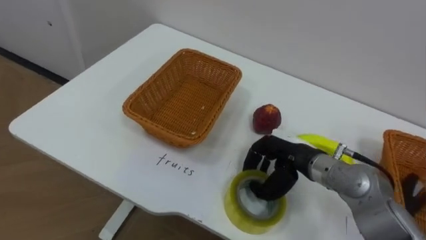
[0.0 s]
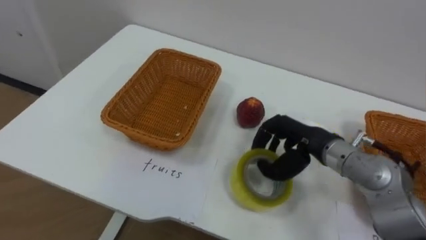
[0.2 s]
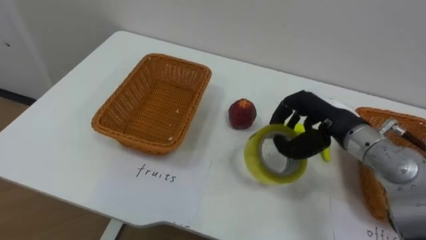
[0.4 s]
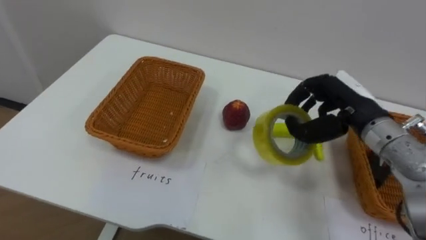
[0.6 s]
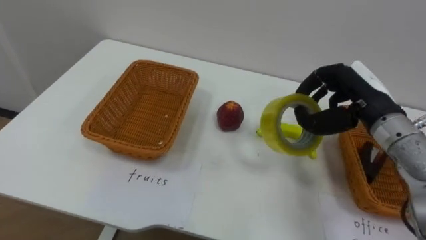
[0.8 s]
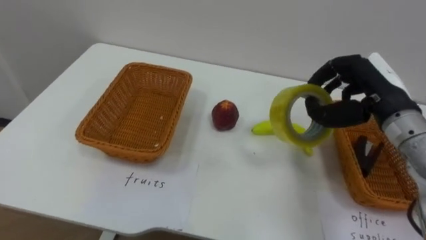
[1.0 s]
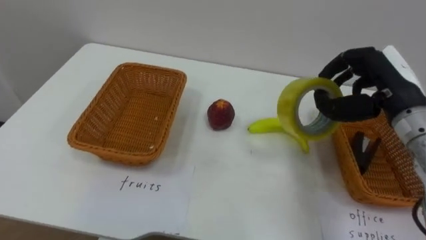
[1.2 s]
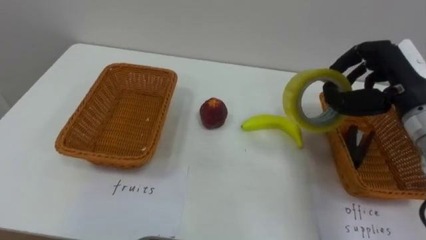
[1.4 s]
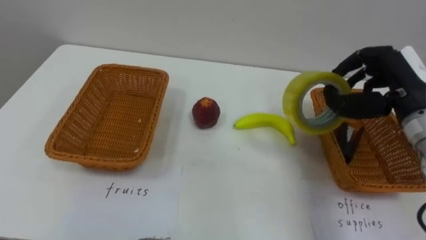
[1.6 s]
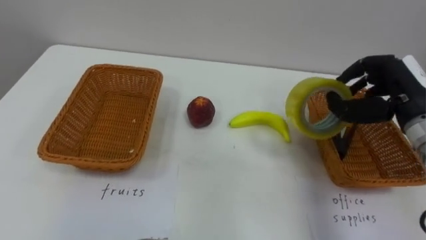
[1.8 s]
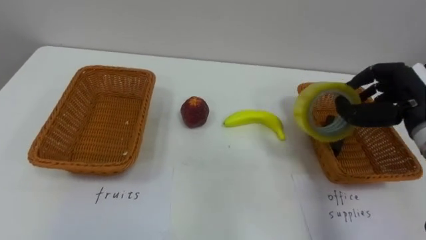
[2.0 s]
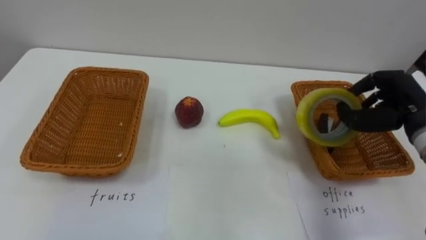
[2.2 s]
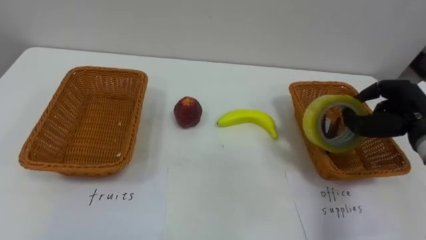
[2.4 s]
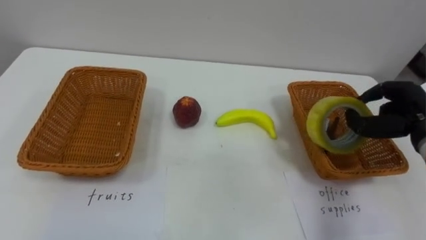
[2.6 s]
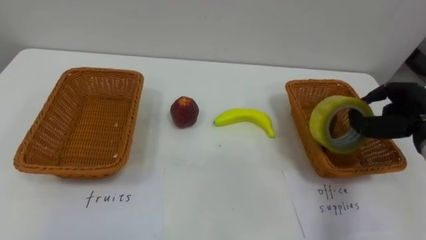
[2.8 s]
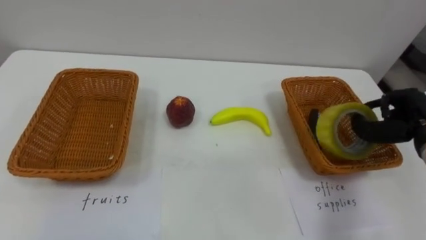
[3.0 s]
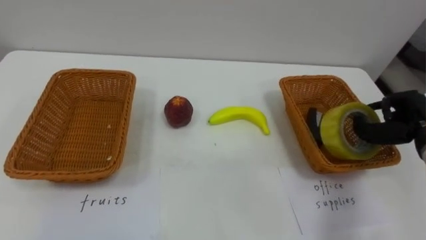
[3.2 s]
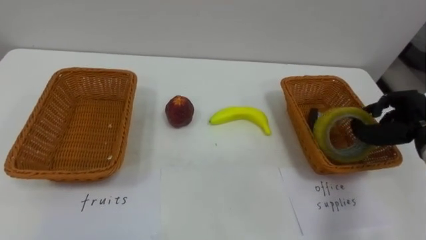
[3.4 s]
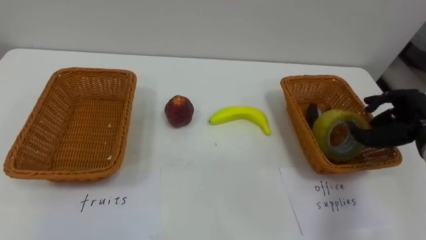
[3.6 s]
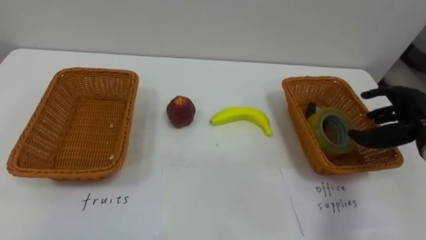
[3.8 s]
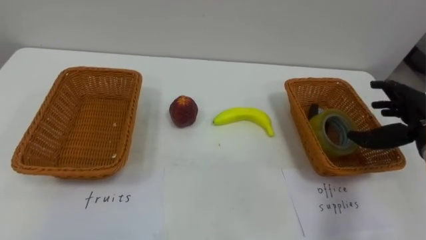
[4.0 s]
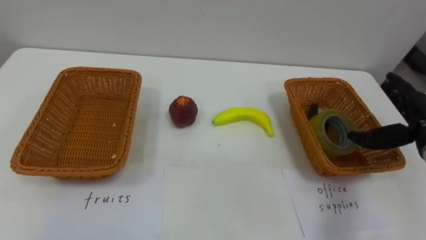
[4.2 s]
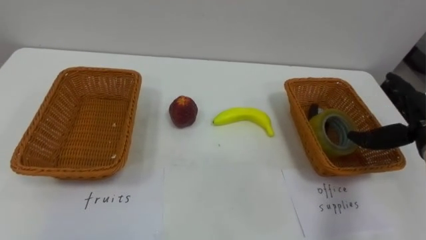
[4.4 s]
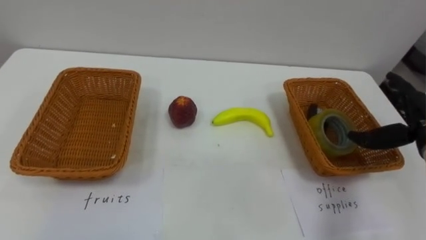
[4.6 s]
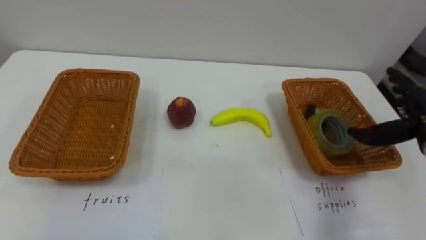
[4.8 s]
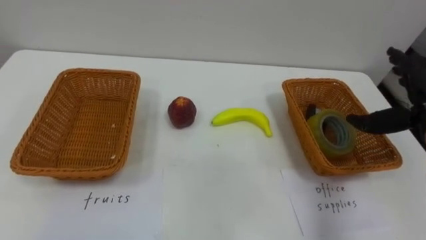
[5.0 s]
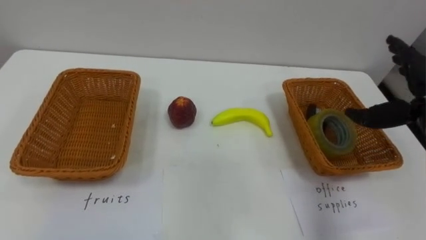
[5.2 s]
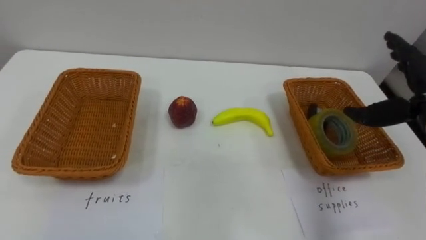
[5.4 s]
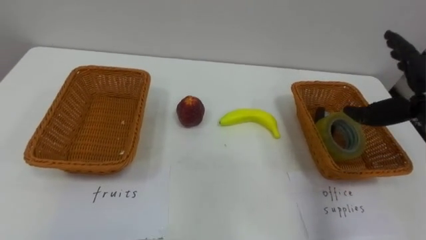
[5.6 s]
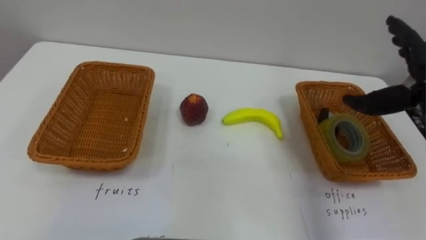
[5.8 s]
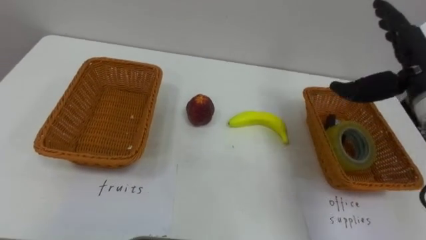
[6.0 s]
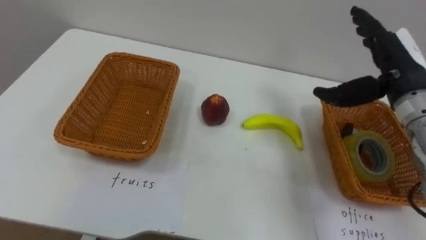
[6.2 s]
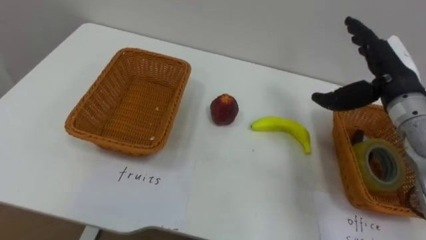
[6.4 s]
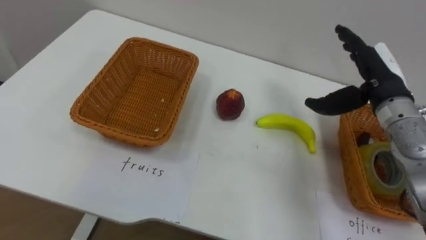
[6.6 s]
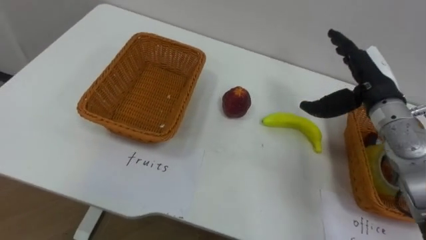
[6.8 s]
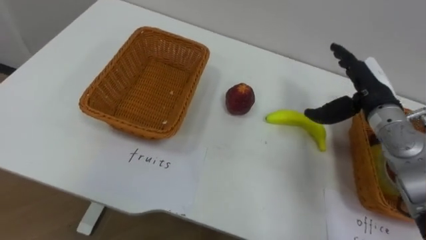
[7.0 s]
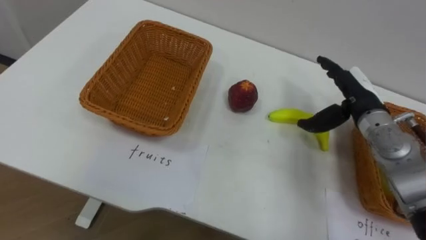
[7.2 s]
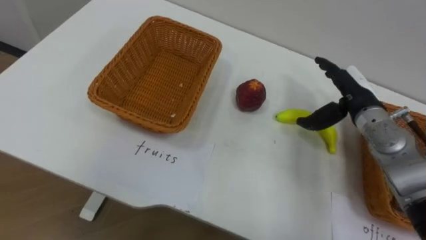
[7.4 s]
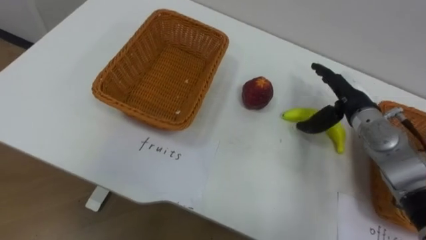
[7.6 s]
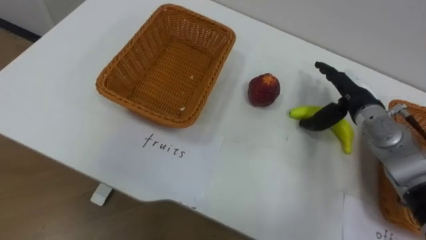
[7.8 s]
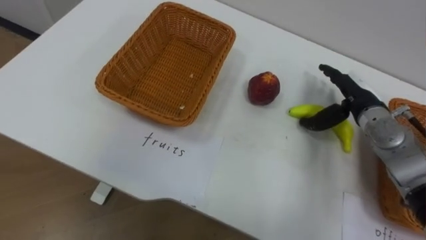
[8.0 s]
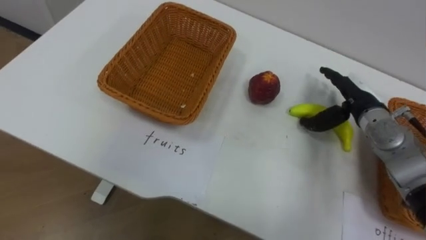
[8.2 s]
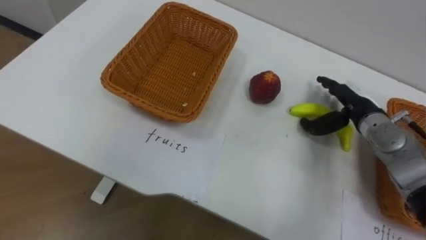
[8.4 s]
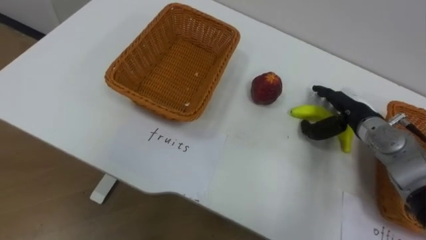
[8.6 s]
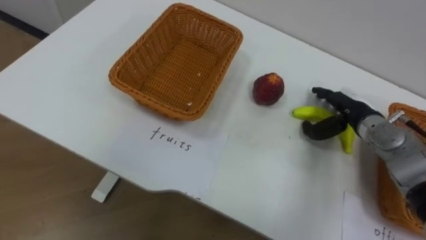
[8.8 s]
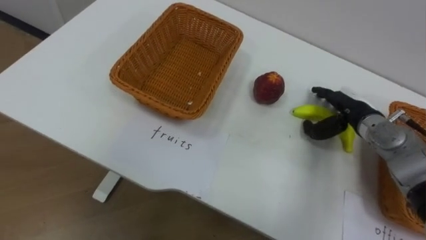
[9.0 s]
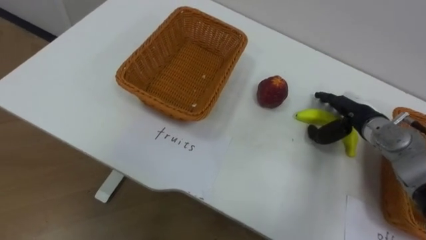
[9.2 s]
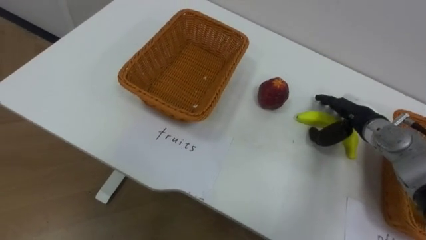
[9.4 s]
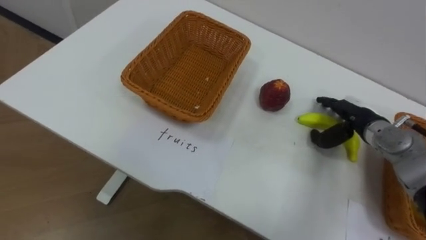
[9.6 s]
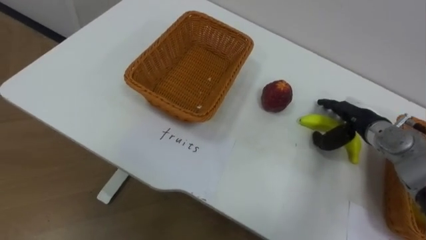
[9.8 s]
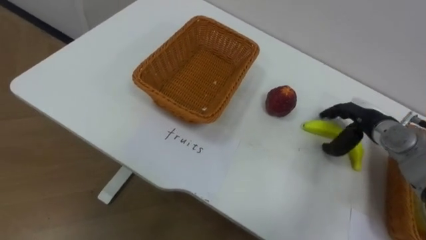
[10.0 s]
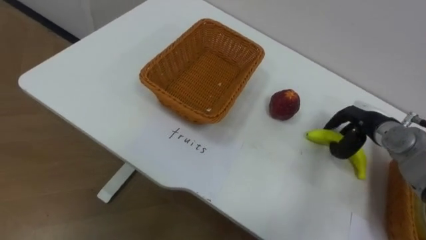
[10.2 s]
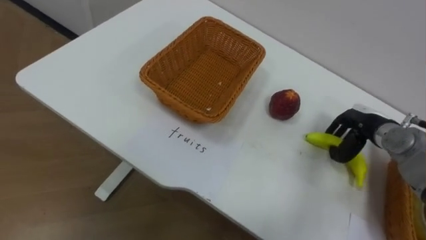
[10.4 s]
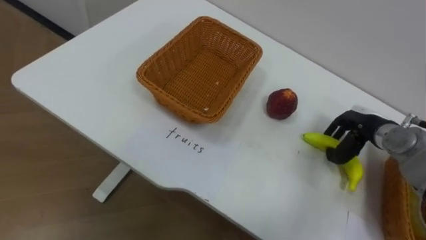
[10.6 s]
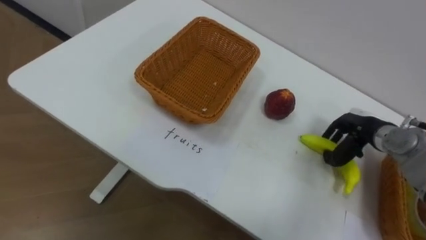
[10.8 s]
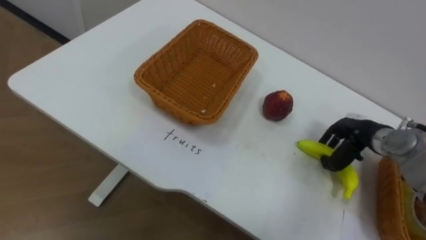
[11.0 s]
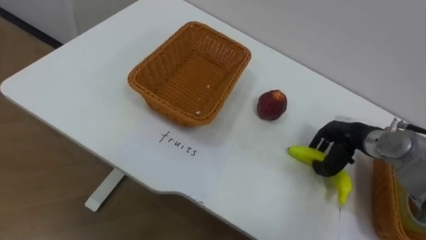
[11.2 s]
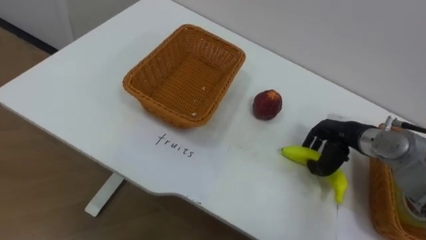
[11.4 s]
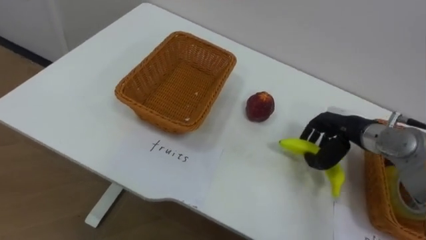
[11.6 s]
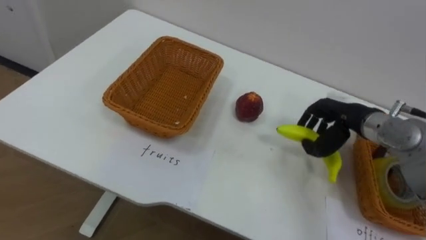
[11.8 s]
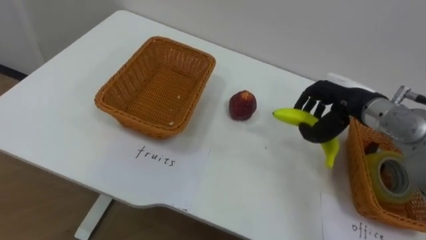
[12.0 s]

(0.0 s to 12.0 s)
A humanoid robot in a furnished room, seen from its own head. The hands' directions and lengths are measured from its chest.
Task of the whole recording: Separate the items on the table and place them into the two baskets.
0.0 s - 1.6 s: The right hand shifts approximately 20 cm to the right and upward.
1.6 s - 3.0 s: The right hand is displaced downward and to the right by roughly 10 cm.
3.0 s - 4.4 s: The right hand opens its fingers.
4.4 s - 6.0 s: The right hand is displaced upward and to the left by approximately 10 cm.
6.0 s - 7.6 s: The right hand goes approximately 10 cm downward and to the left.
9.0 s - 10.4 s: The right hand closes.
10.4 s - 12.0 s: The right hand moves upward and to the left, roughly 10 cm.

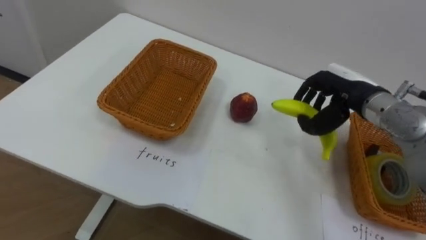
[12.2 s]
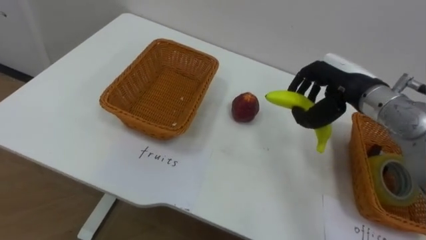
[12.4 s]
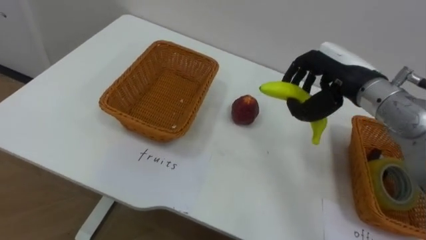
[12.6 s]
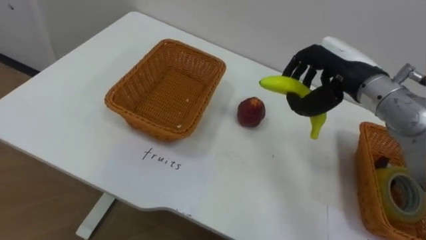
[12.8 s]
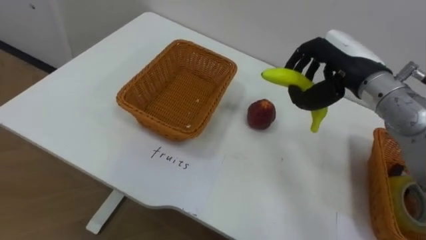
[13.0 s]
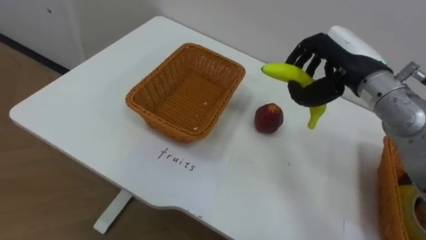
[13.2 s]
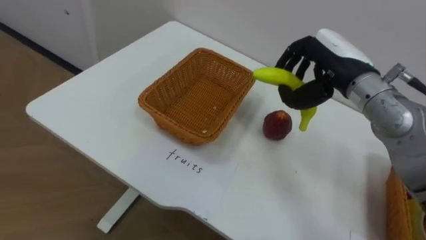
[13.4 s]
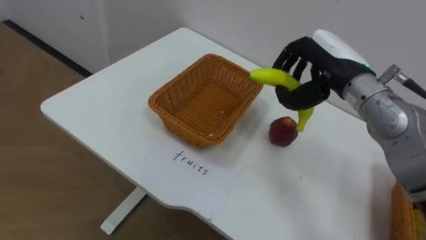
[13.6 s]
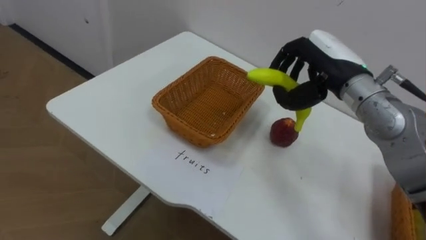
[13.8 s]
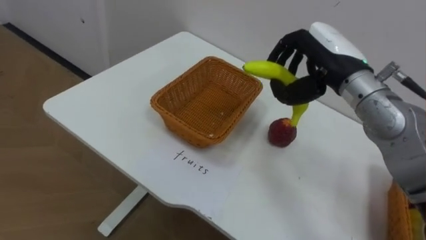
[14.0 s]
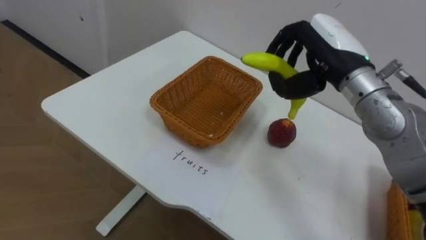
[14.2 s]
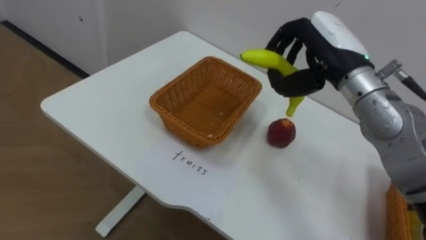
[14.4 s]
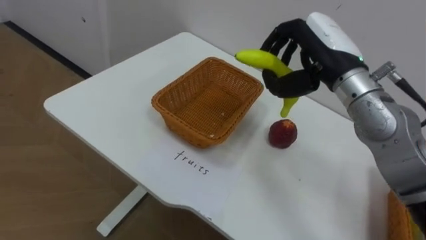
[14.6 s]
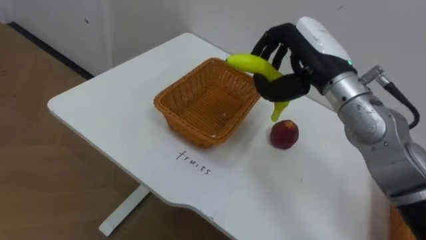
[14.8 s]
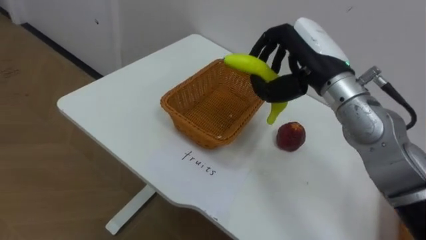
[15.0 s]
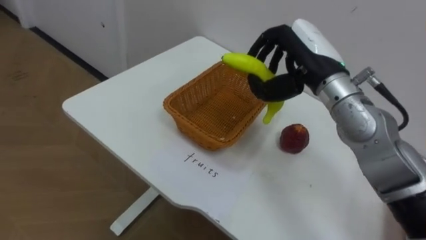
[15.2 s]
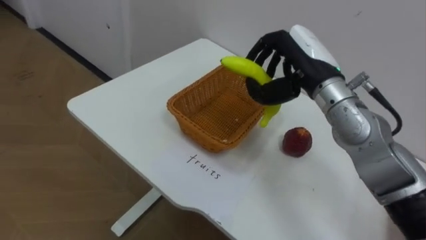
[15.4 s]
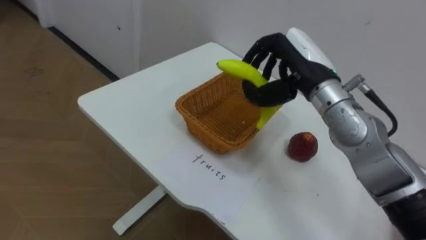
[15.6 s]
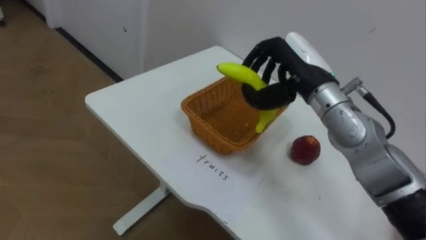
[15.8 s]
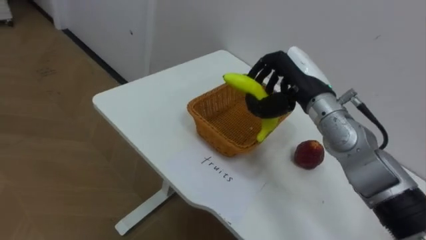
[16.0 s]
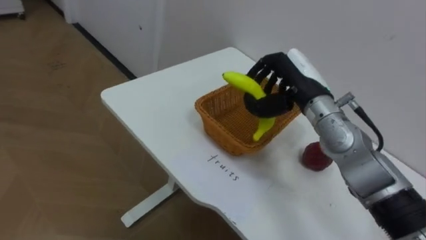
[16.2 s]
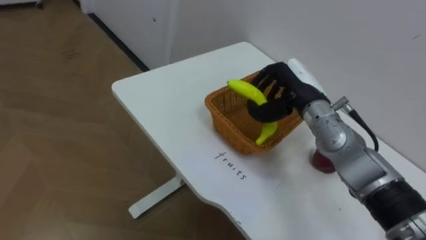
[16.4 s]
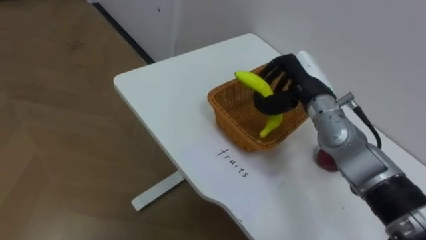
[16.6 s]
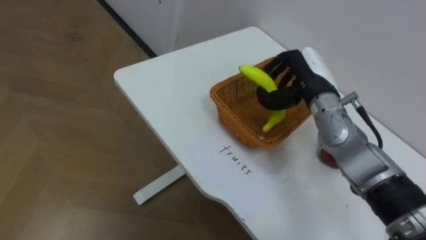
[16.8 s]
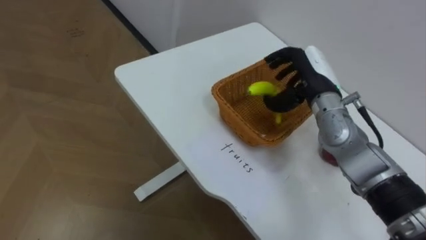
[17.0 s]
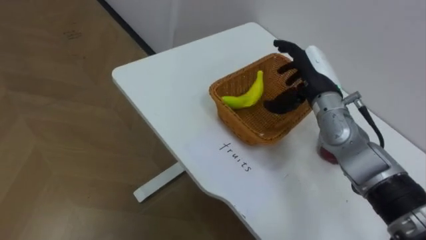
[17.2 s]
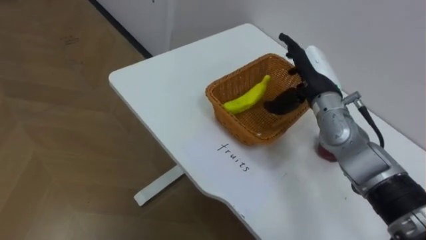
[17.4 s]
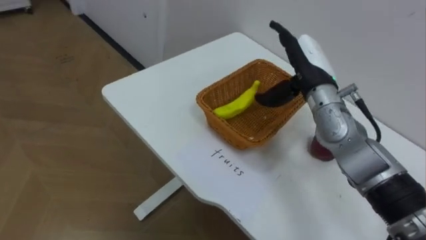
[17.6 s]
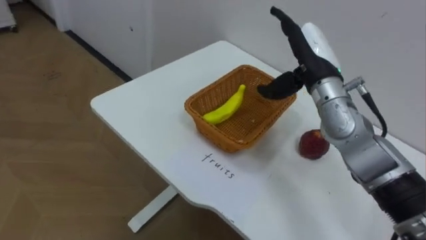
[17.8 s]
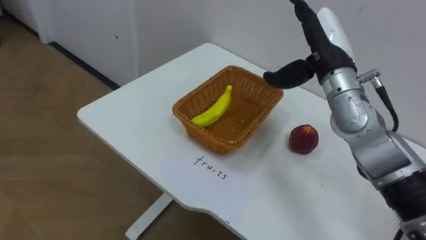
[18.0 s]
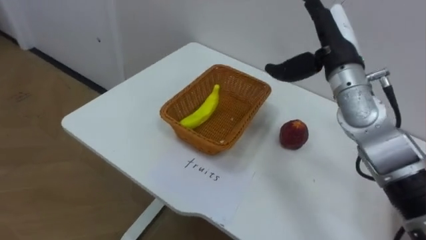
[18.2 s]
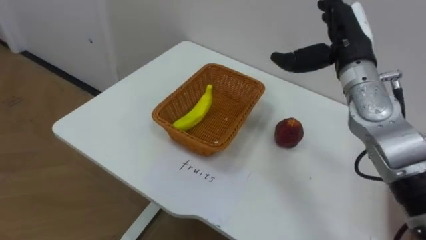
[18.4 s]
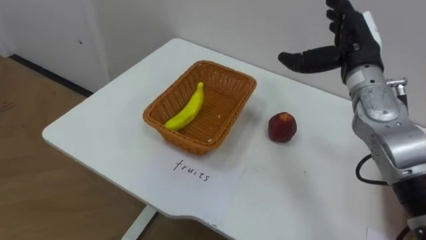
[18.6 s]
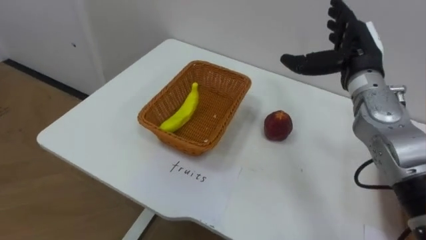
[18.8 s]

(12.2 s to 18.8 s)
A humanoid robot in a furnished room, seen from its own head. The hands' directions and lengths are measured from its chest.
Task of the whole recording: Separate the items on the table and place them into the two baskets.
12.2 s - 13.8 s: The right hand moves upward, roughly 5 cm.
15.4 s - 17.2 s: The right hand travels downward by roughly 5 cm, and opens its fingers.
17.2 s - 18.8 s: The right hand goes some 5 cm to the right.
